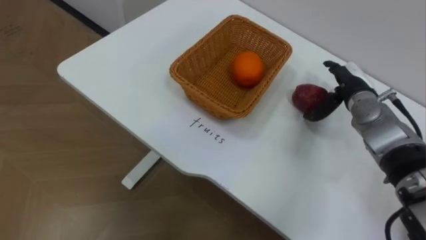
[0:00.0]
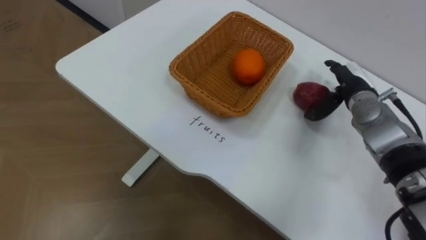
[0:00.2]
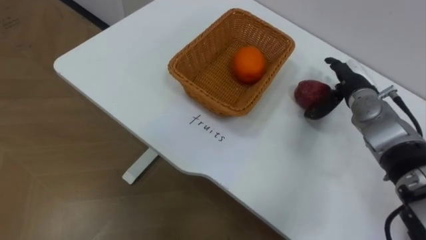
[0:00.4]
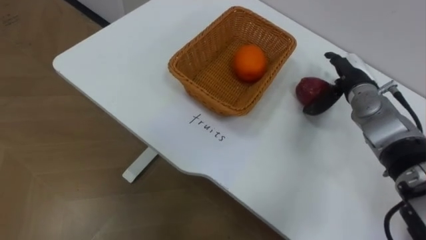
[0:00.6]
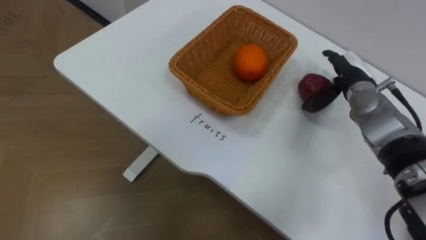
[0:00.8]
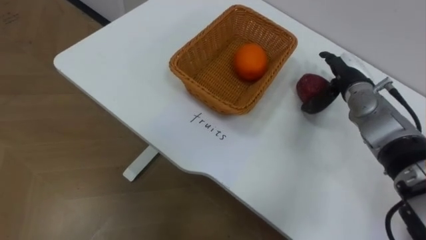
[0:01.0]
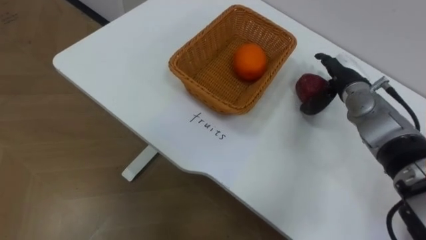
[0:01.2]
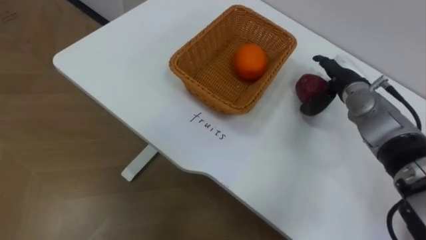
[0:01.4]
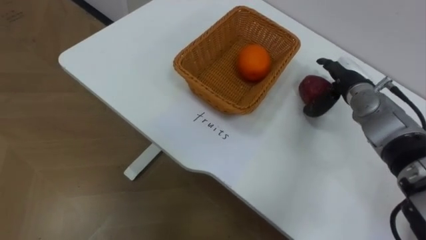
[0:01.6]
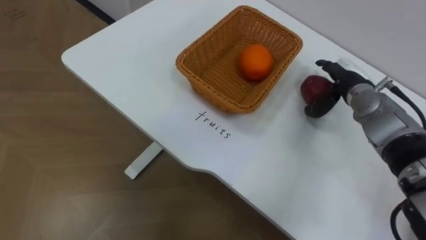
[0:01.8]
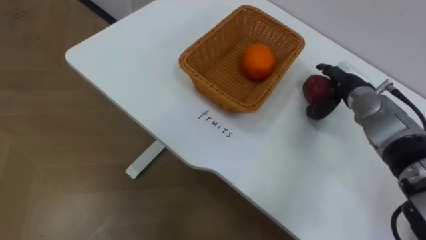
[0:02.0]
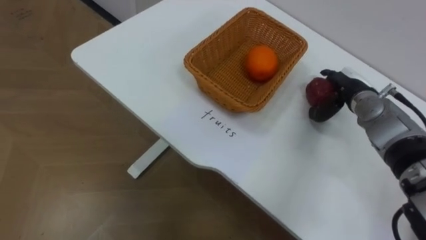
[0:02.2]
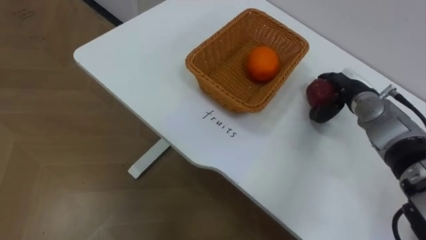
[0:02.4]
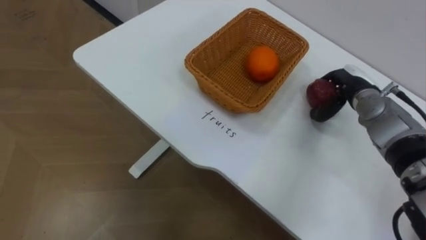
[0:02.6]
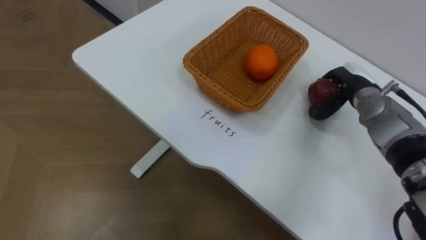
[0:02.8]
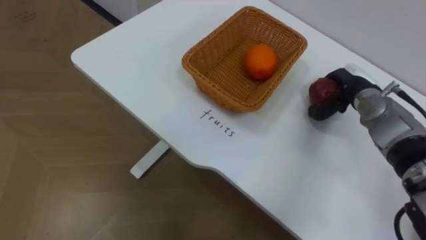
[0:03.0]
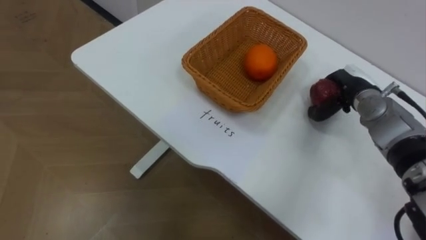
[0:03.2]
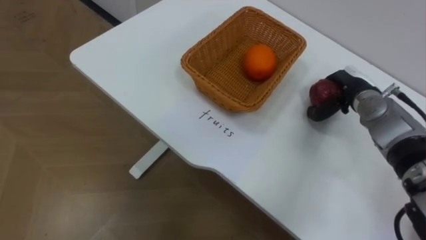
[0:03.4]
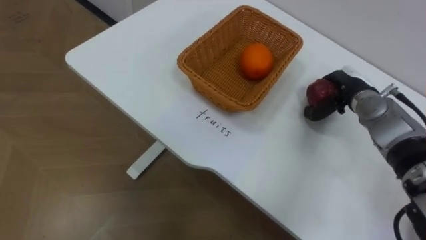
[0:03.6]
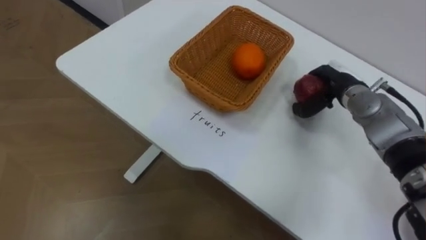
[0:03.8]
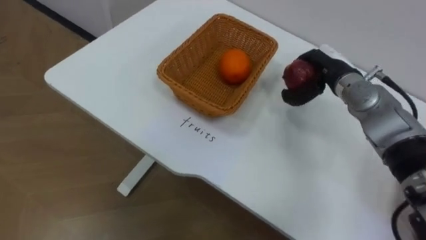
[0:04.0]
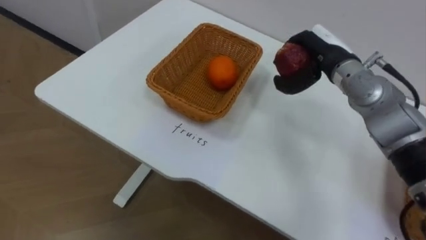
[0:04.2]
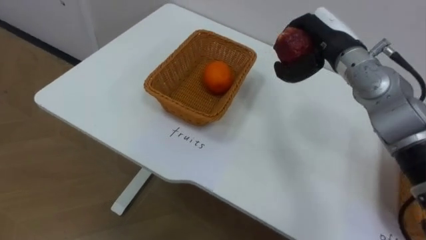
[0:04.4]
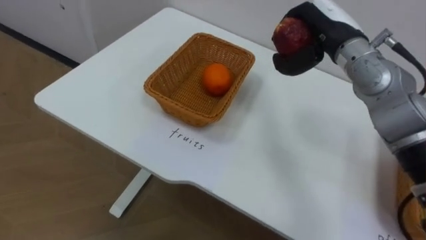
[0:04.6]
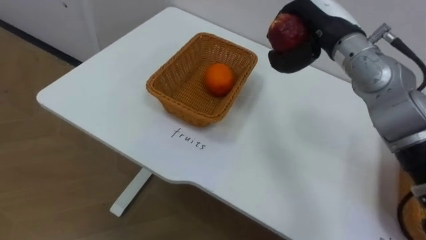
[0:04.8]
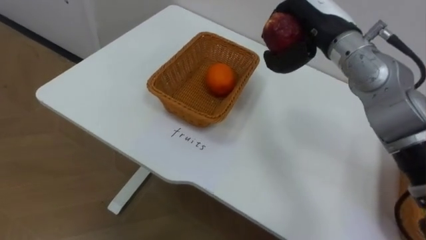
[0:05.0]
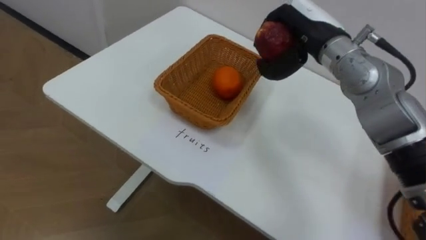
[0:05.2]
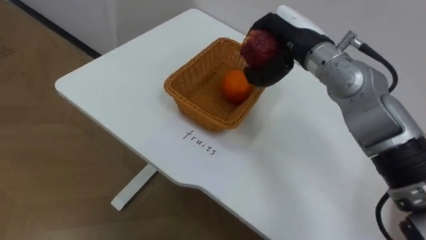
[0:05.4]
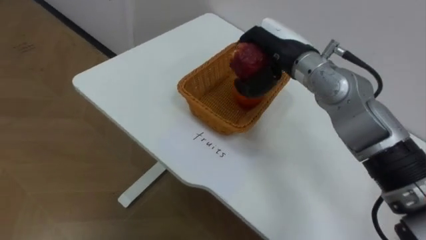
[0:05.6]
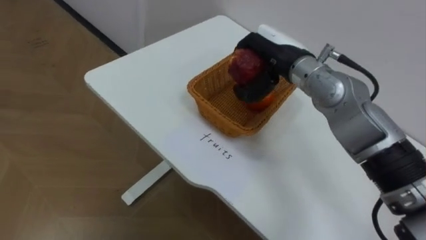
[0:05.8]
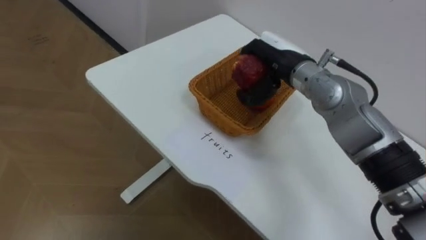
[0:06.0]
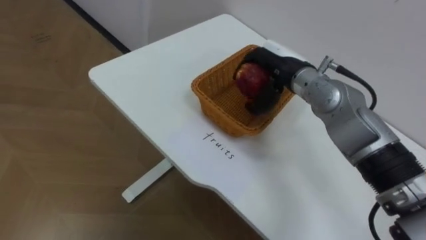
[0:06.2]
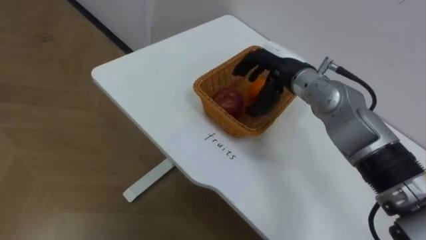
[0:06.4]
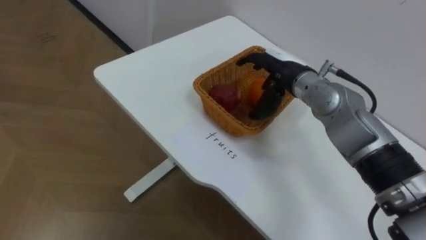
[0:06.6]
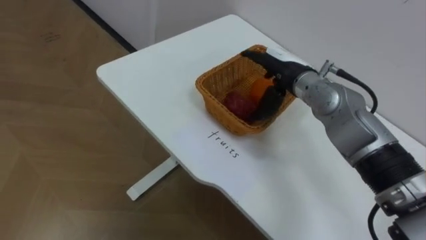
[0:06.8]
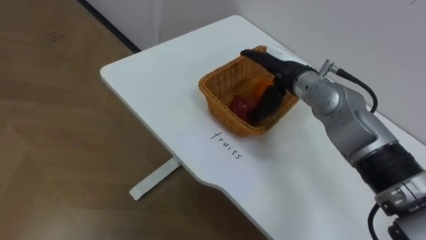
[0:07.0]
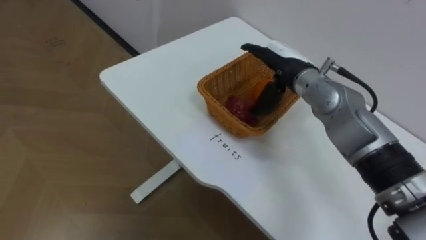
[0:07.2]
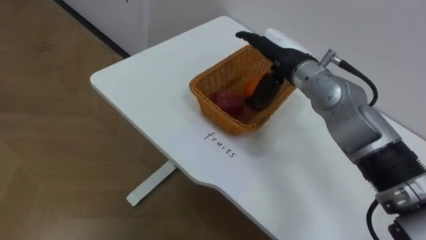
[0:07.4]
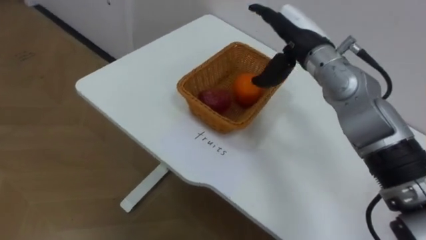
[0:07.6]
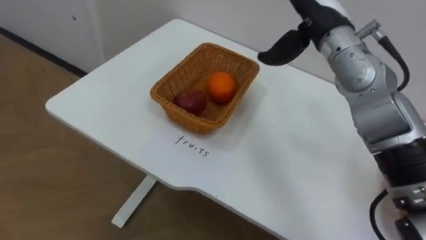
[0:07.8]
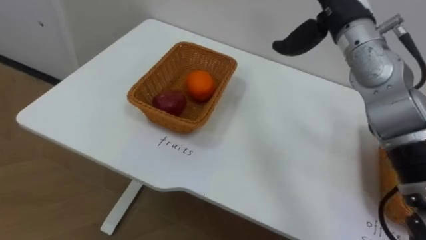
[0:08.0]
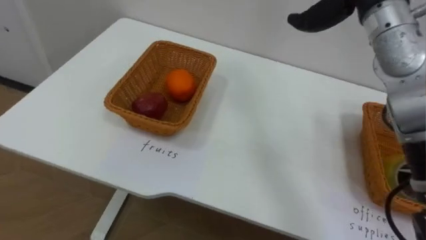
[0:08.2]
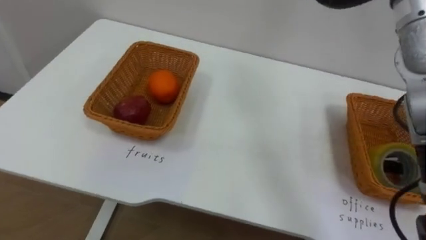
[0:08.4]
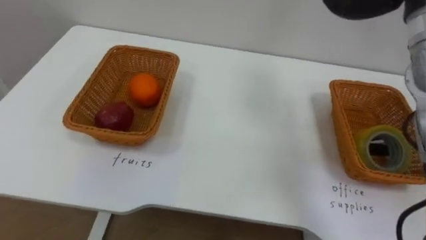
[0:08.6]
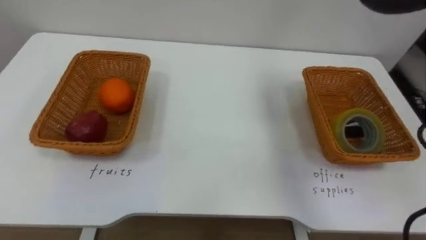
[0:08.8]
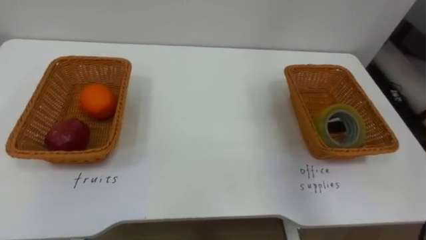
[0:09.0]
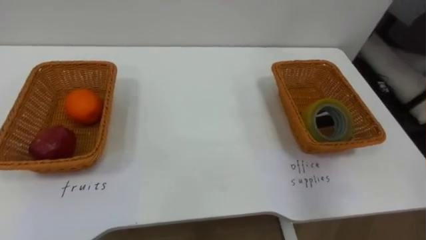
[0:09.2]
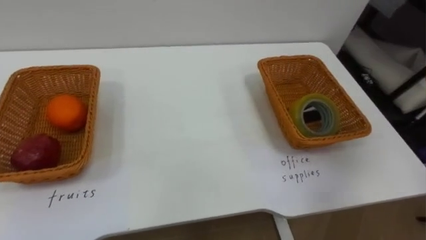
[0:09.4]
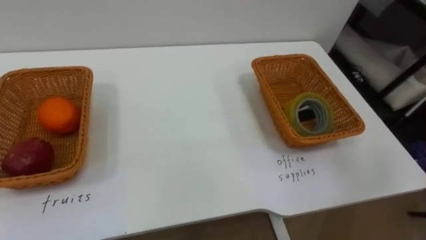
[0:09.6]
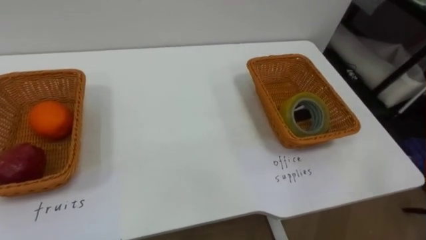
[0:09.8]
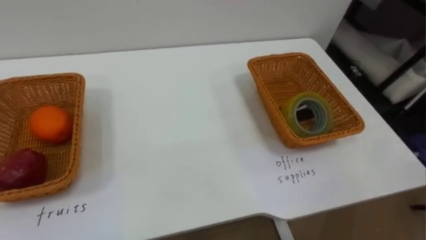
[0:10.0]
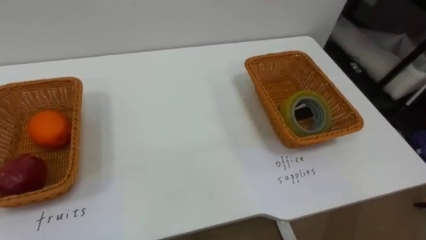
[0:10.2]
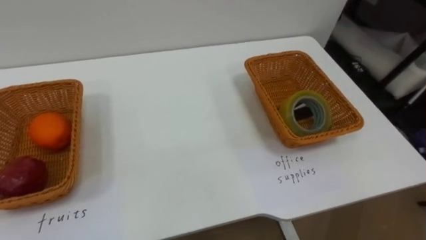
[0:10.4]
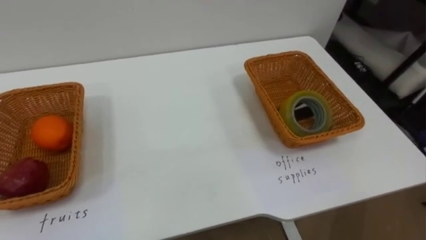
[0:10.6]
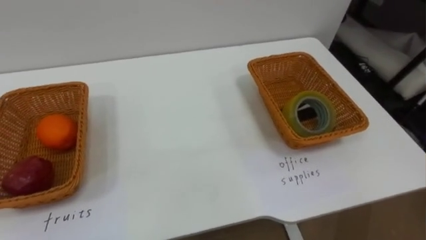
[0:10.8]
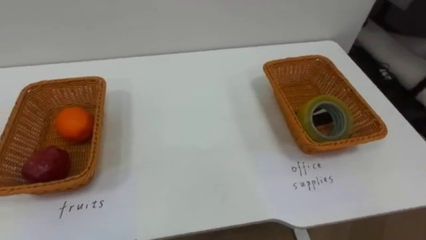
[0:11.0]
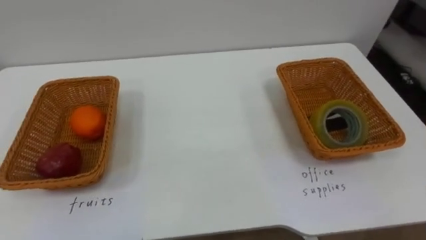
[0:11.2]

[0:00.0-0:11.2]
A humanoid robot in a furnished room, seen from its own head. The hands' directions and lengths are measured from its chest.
Task of the whole recording: Separate the items on the table and place them into the two baskets.
0:01.6 to 0:03.2: The right hand closes its fingers.
0:03.2 to 0:04.8: The right hand shifts approximately 20 cm upward and to the left.
0:04.8 to 0:06.4: The right hand travels downward and to the left by about 10 cm.
0:06.4 to 0:08.0: The right hand travels upward and to the right by some 15 cm, and opens its fingers.

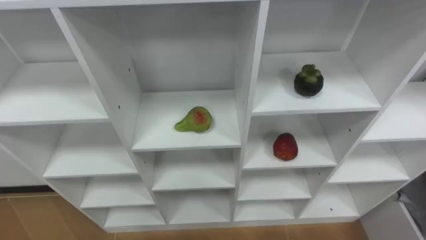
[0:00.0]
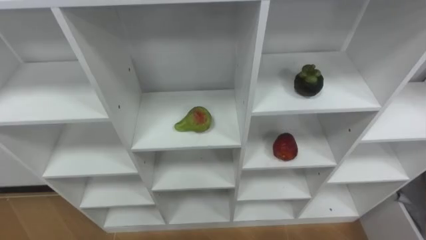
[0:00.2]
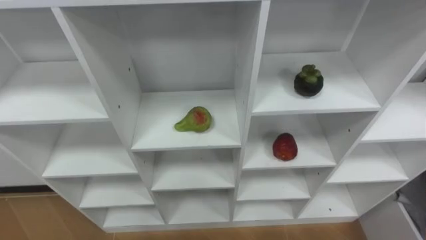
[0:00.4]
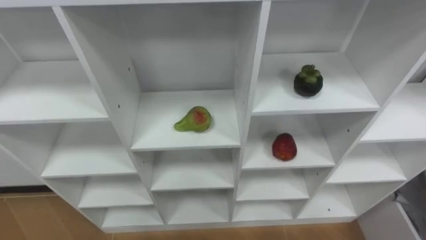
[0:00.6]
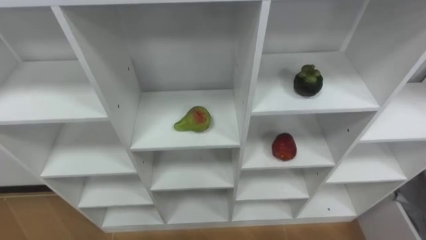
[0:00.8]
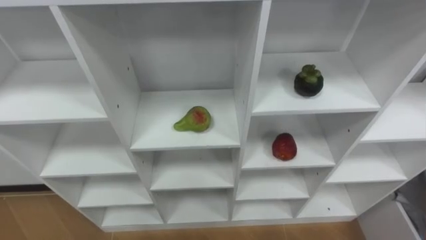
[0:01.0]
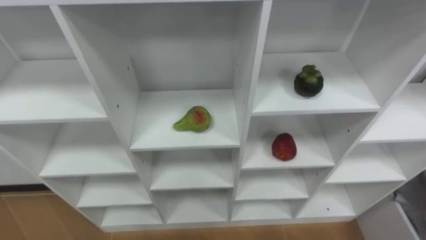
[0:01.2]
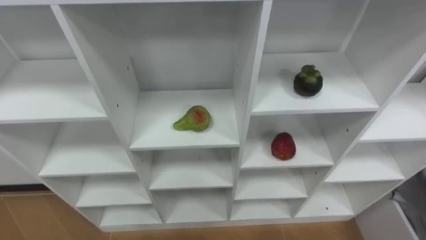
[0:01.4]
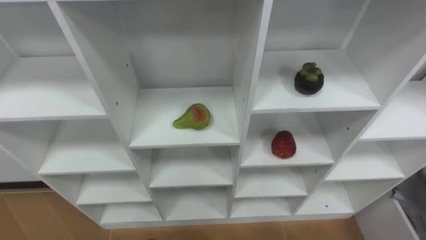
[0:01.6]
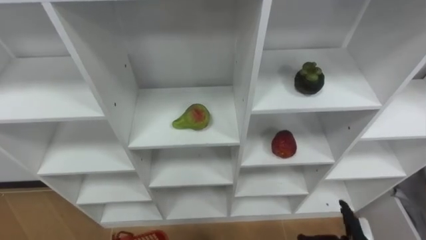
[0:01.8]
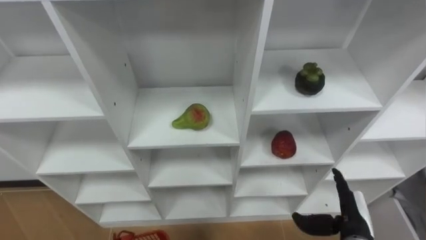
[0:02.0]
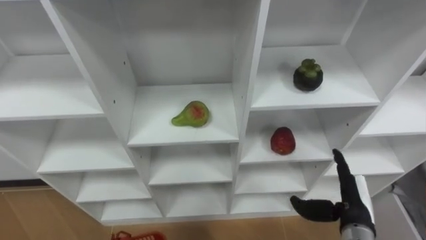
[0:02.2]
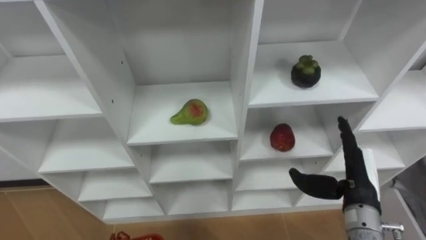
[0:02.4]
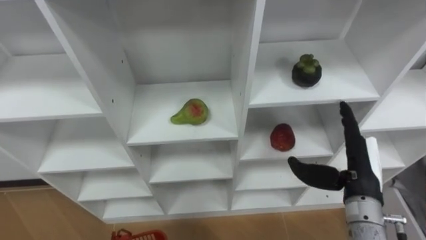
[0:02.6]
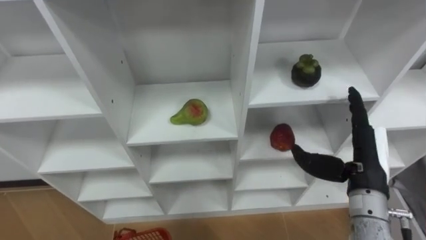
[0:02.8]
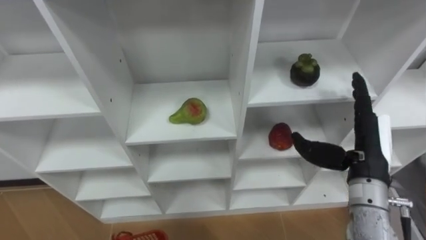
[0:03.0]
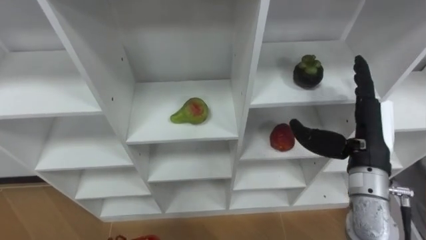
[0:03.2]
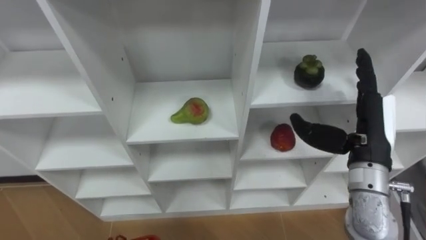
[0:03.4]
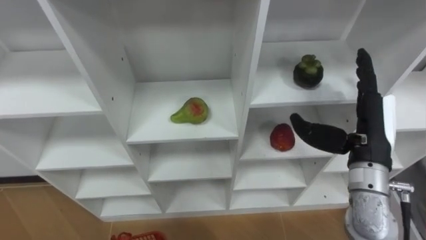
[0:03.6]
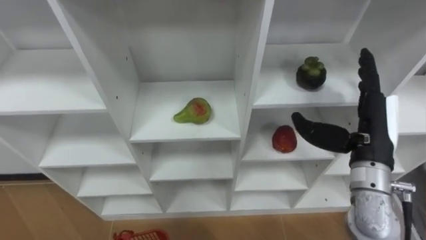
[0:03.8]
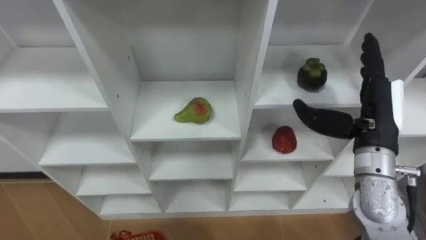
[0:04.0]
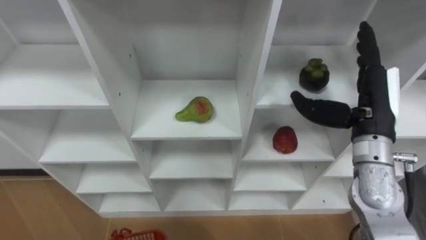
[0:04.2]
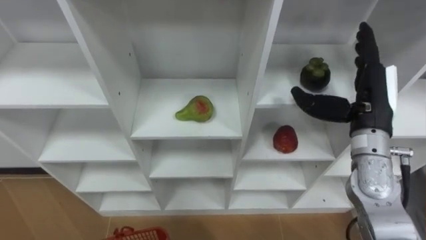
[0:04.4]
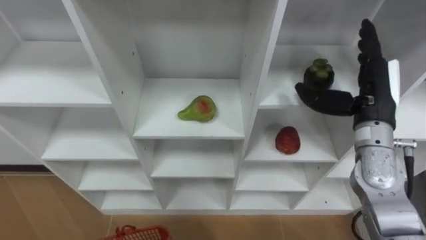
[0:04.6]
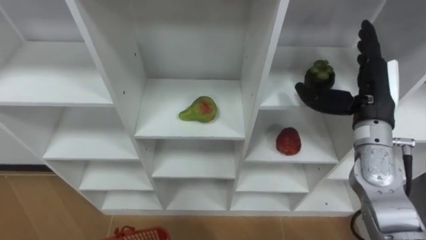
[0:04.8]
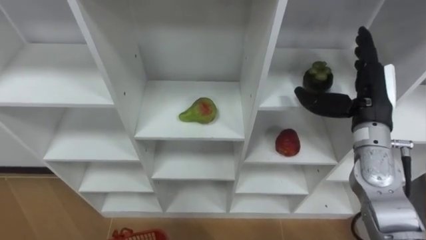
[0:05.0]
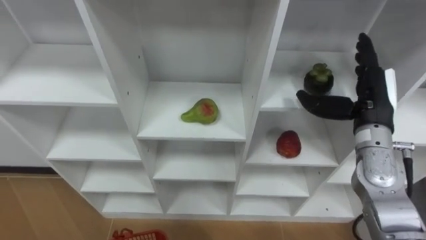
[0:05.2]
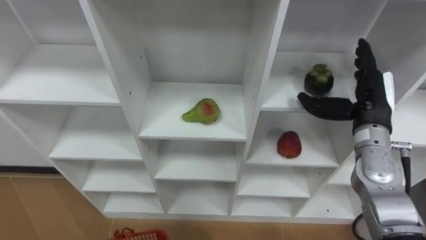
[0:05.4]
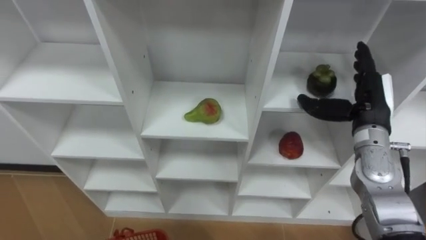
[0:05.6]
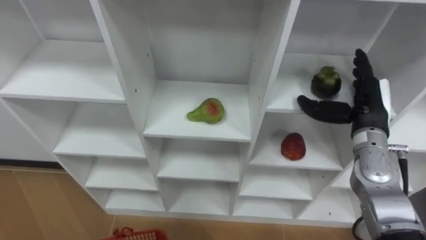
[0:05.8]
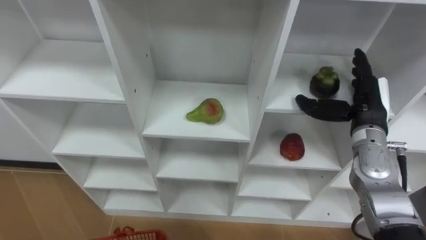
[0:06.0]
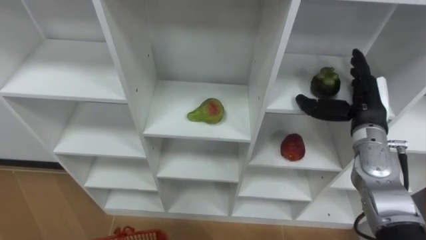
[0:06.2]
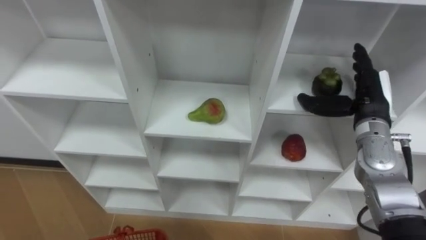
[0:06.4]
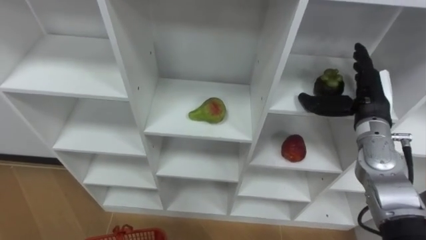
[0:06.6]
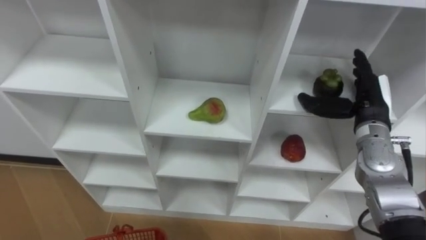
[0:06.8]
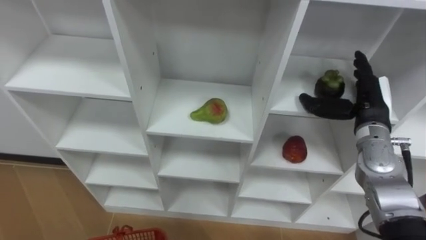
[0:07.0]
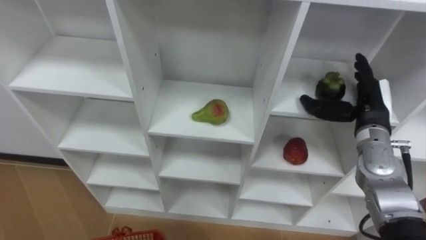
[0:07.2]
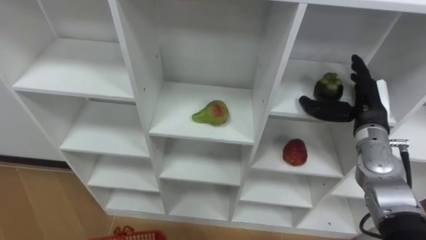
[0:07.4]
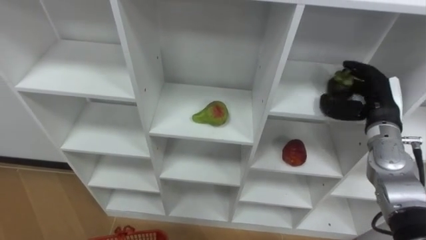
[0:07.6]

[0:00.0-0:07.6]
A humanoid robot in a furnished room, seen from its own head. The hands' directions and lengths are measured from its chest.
Task of the whole recording: Hold the basket and collect the fruits from 3 different cells of the closet into it.
0:03.0 to 0:04.6: The right hand heads forward, covering roughly 5 cm.
0:04.6 to 0:06.0: The right hand goes roughly 5 cm downward.
